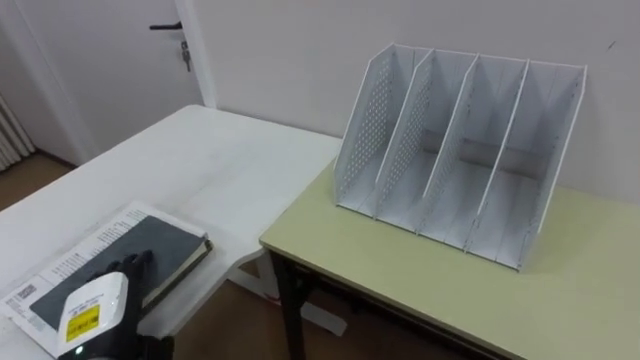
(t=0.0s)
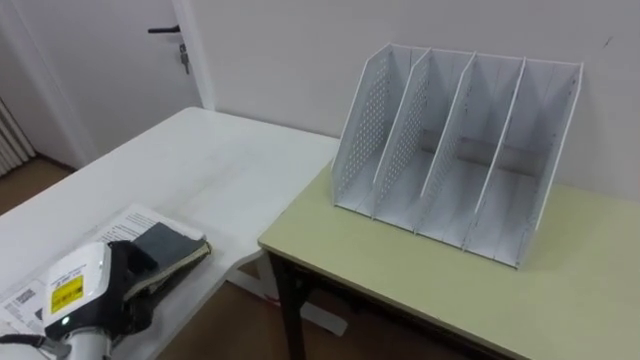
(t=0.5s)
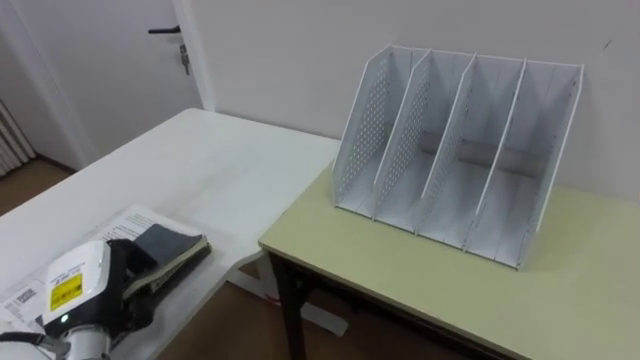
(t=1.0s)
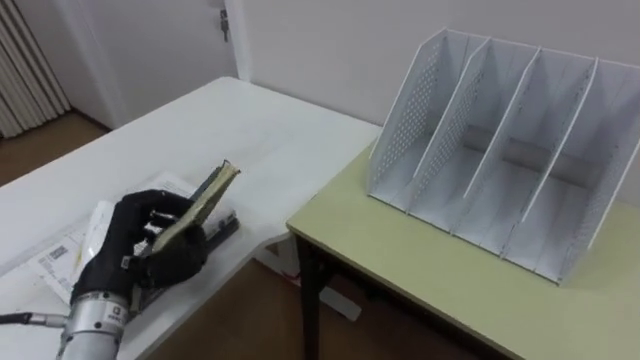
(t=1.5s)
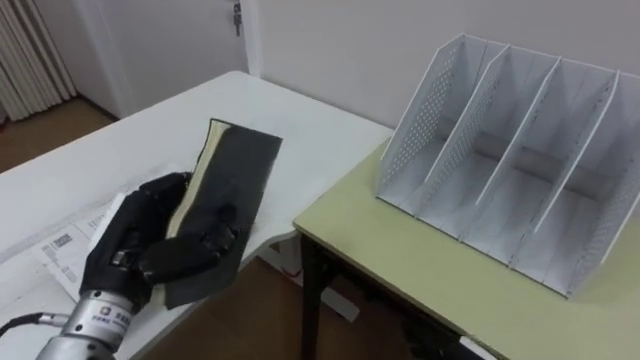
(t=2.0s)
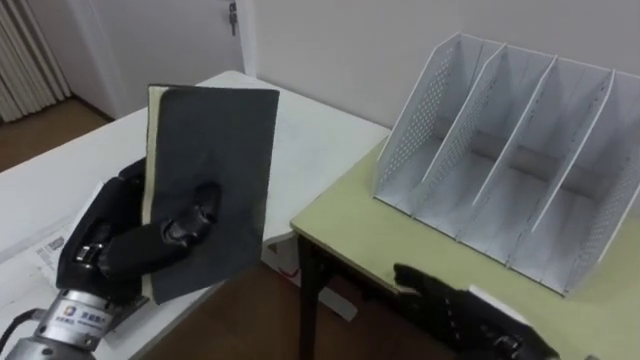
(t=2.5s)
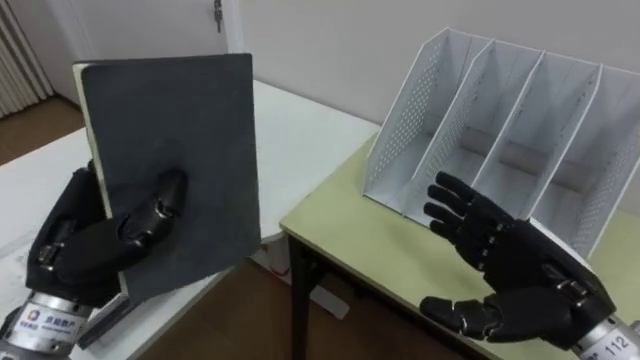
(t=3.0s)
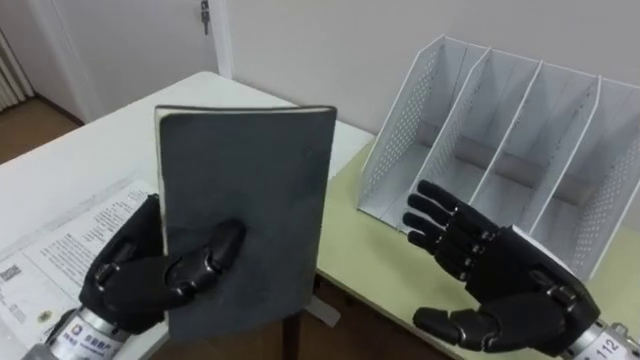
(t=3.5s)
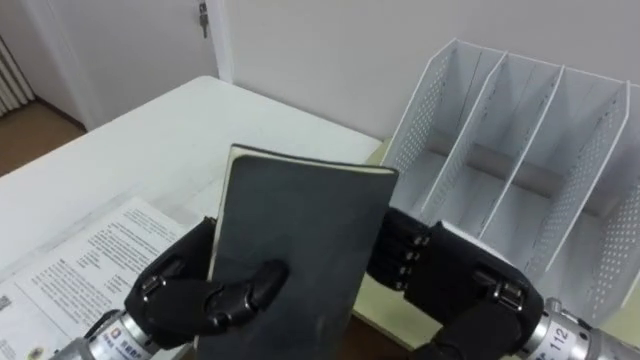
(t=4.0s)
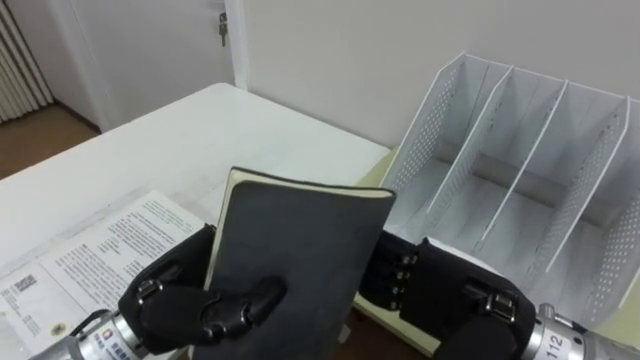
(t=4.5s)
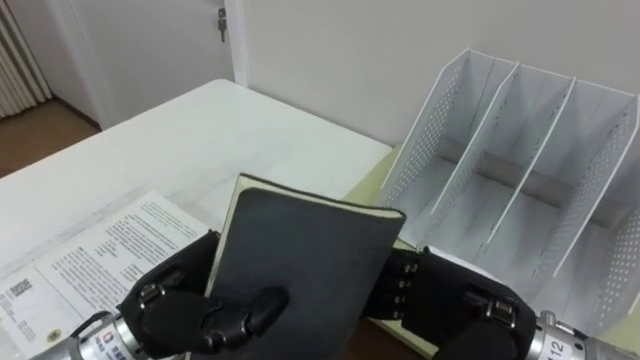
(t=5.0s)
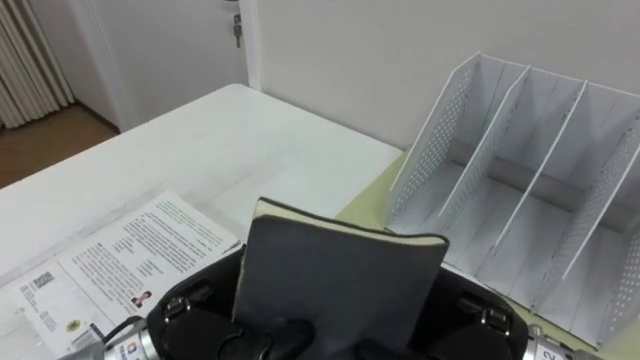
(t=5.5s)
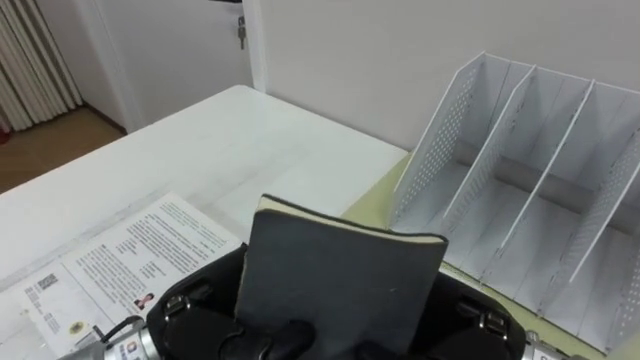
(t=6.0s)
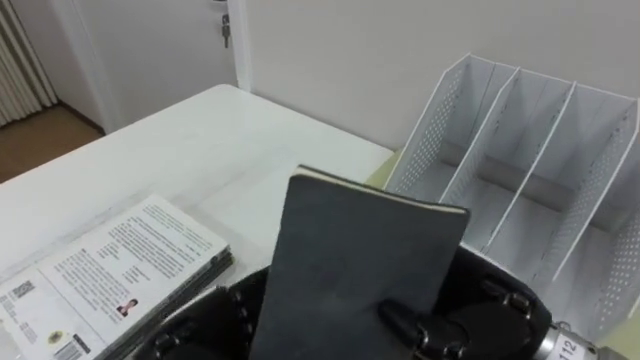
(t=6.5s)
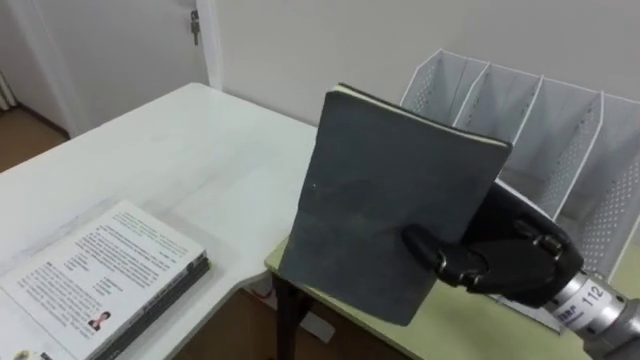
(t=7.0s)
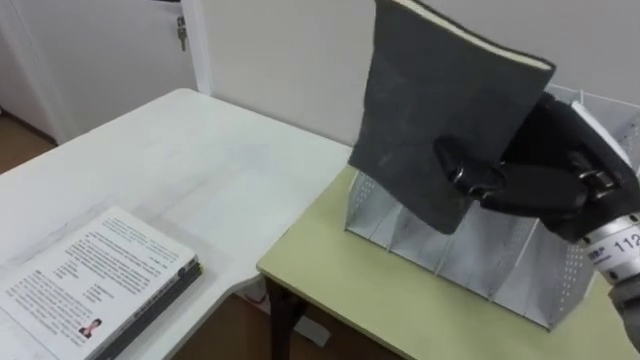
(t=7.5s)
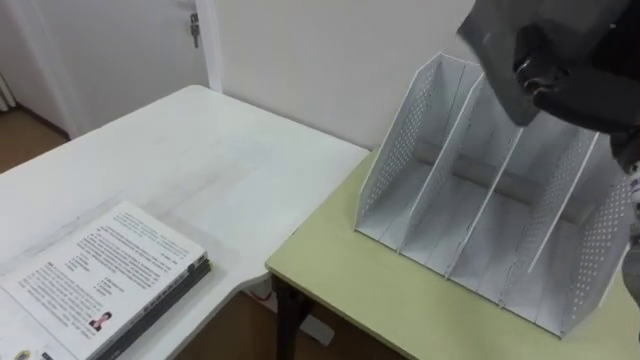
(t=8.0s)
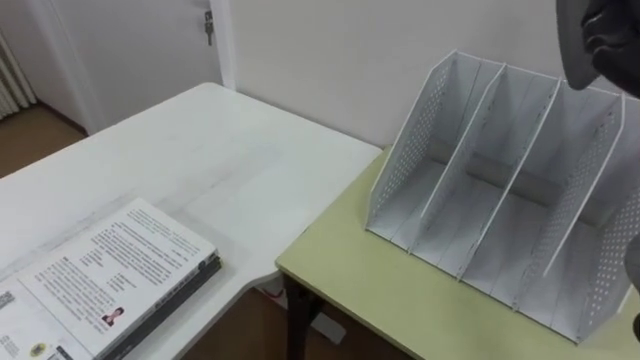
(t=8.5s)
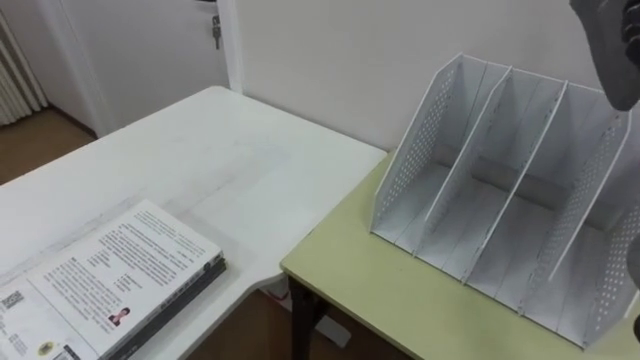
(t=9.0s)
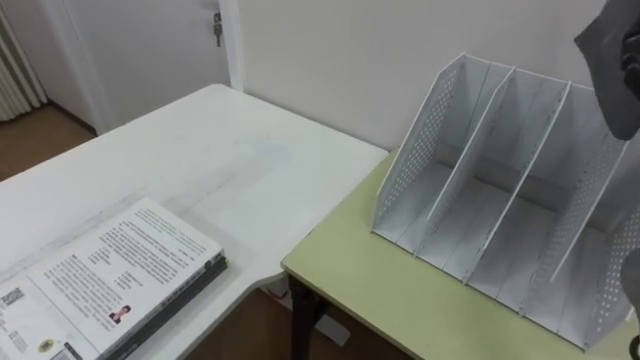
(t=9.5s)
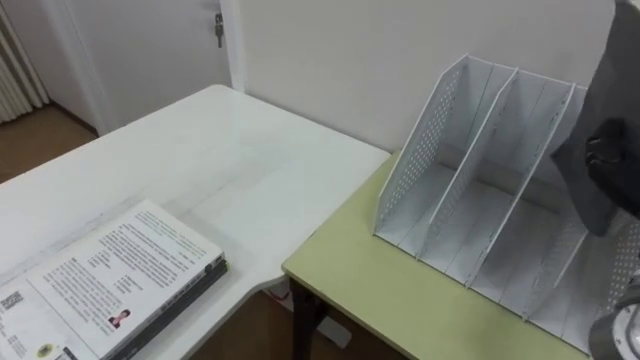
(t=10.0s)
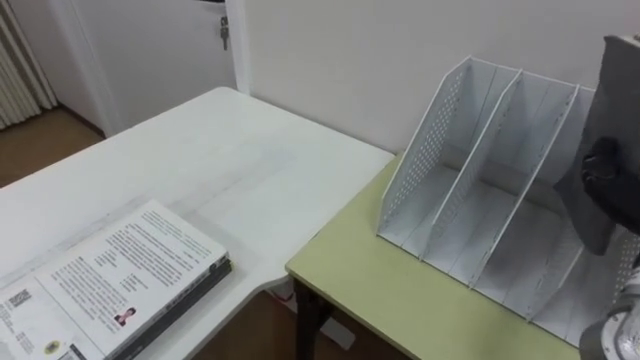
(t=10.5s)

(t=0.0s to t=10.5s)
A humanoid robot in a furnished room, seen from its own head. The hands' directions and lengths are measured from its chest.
Task of the whole recording: Put the books on the table onto the bookshelf.
t=0.0s - t=2.0s: The left hand travels upward and to the right by about 15 cm, and closes its fingers.
t=2.0s - t=4.0s: The left hand is displaced to the right by some 5 cm. The right hand is displaced upward by about 20 cm.
t=4.0s - t=6.5s: The left hand travels downward by about 5 cm, and opens up; the right hand closes its fingers.

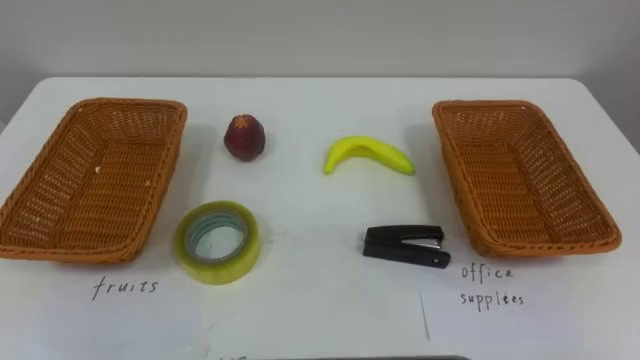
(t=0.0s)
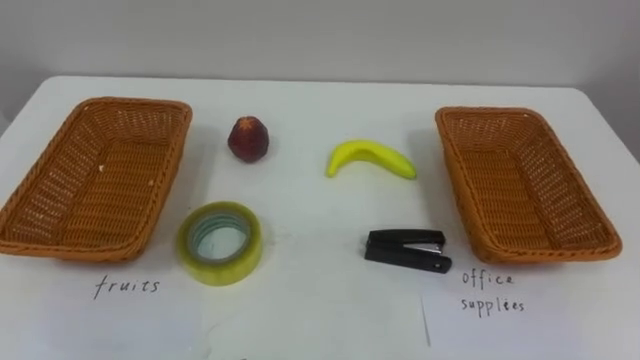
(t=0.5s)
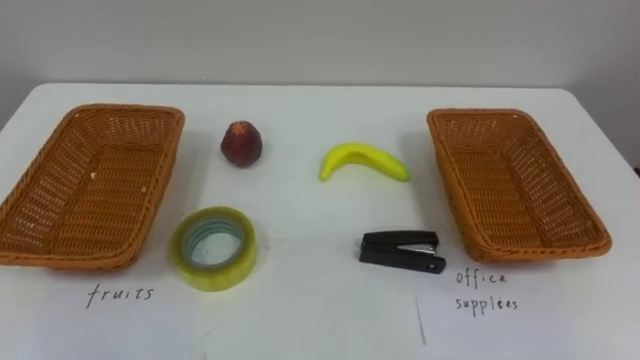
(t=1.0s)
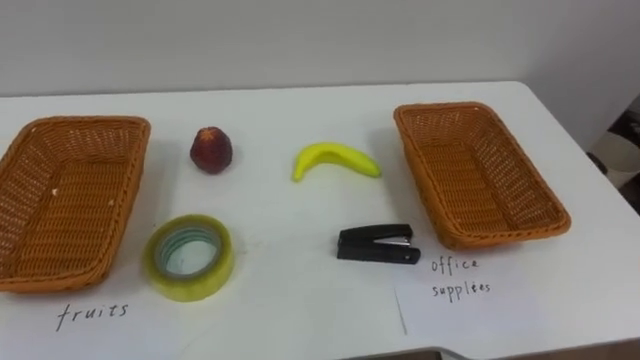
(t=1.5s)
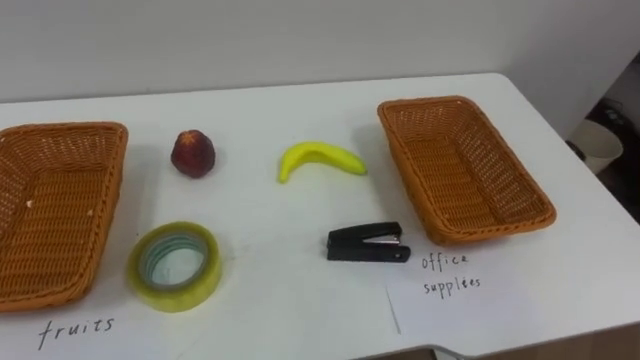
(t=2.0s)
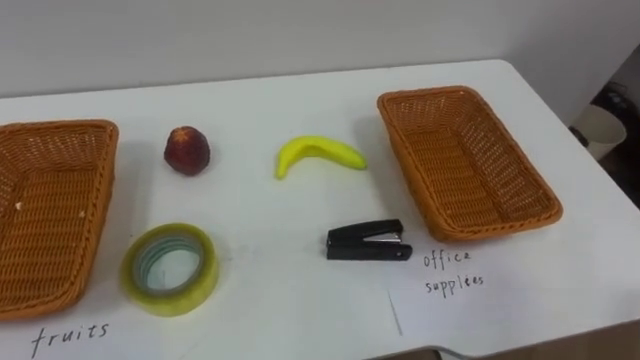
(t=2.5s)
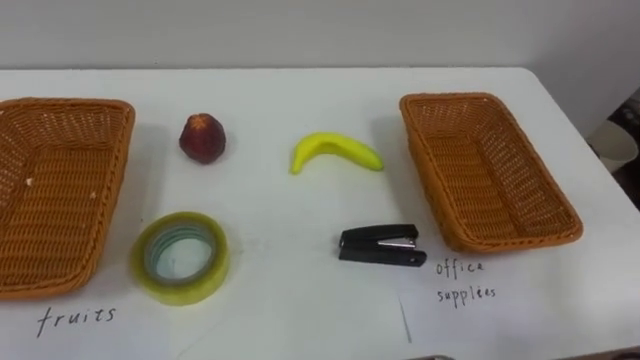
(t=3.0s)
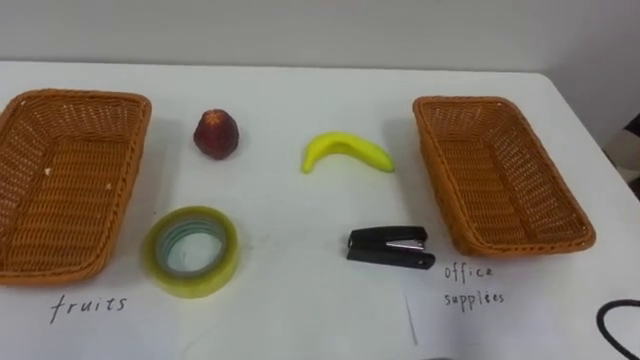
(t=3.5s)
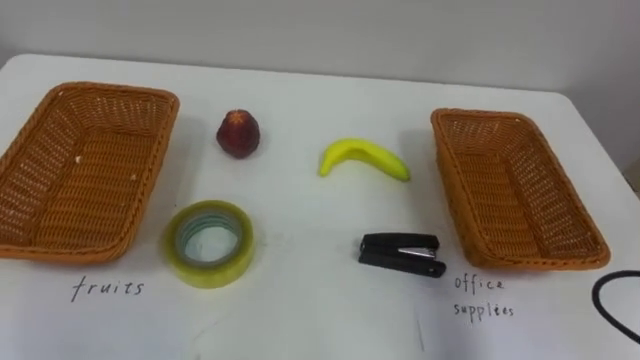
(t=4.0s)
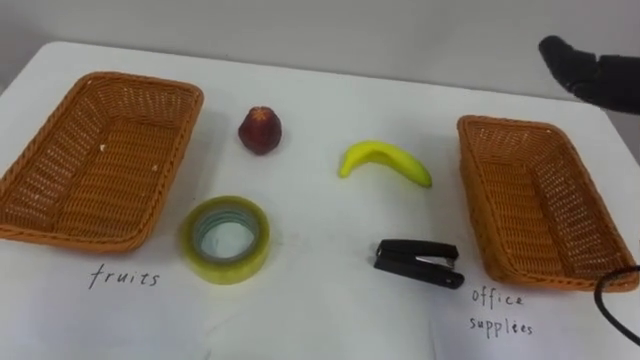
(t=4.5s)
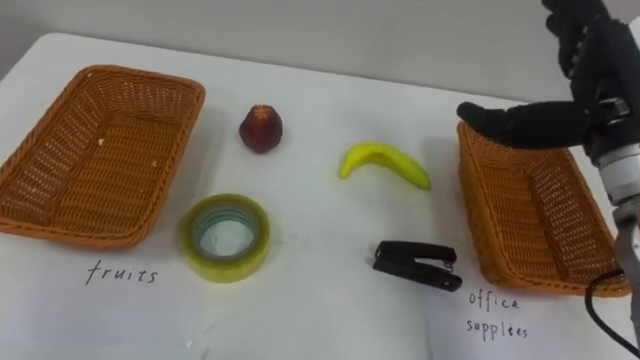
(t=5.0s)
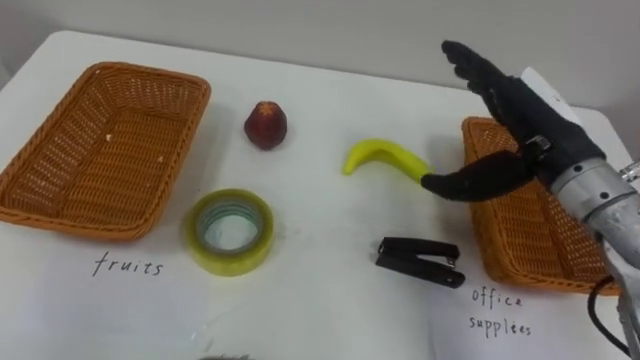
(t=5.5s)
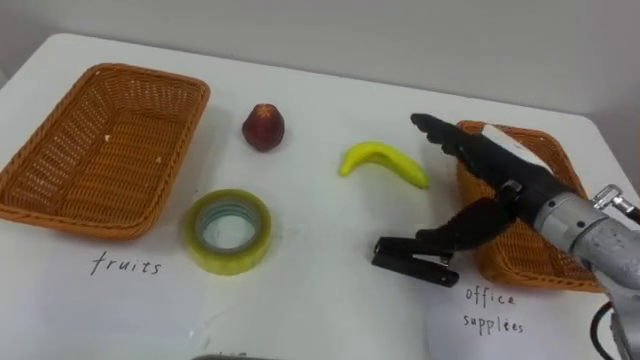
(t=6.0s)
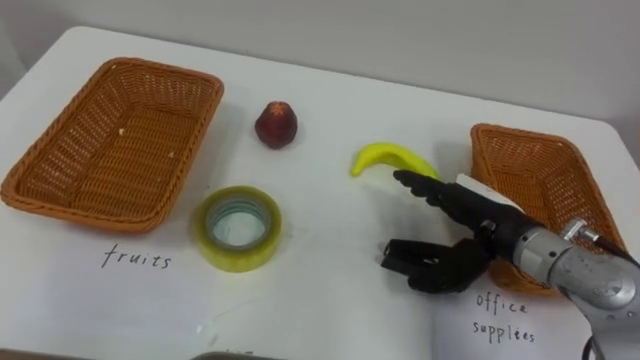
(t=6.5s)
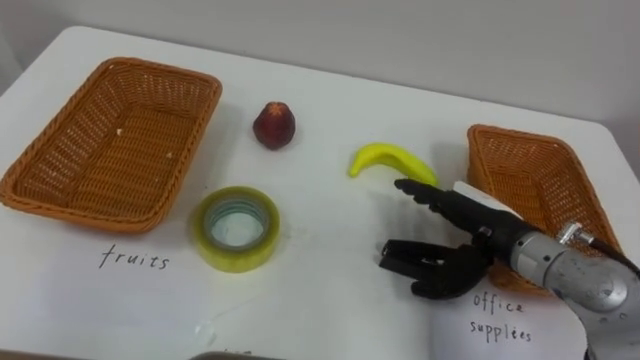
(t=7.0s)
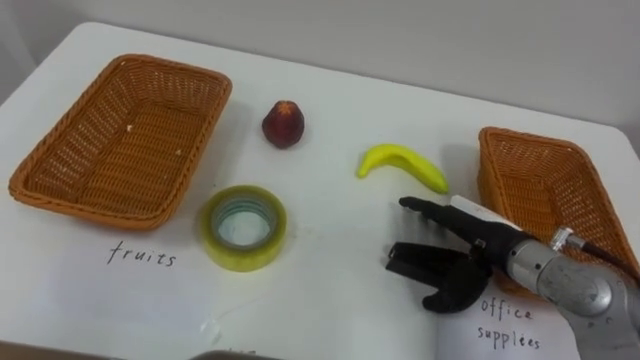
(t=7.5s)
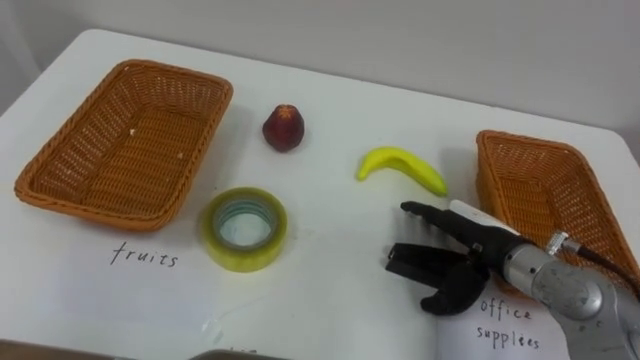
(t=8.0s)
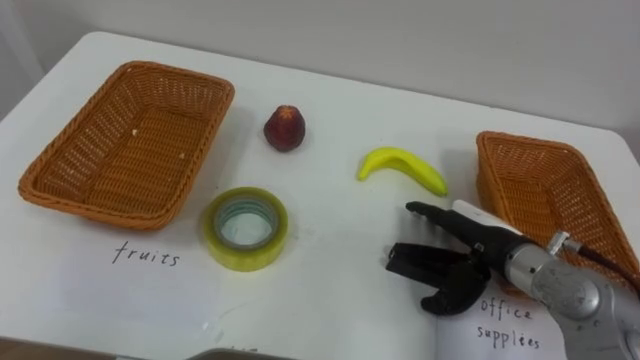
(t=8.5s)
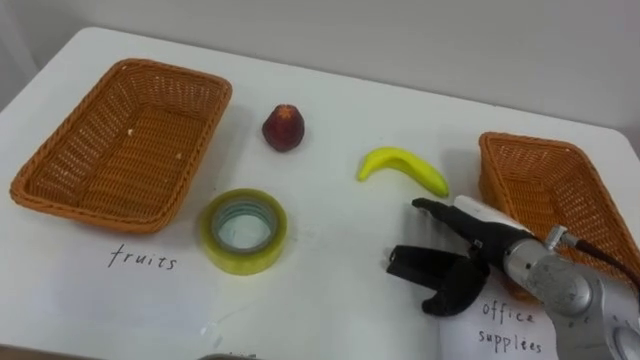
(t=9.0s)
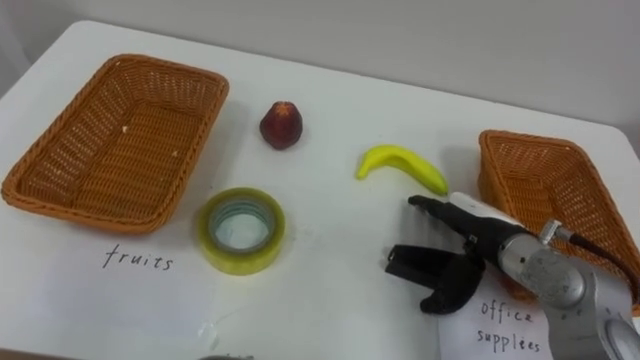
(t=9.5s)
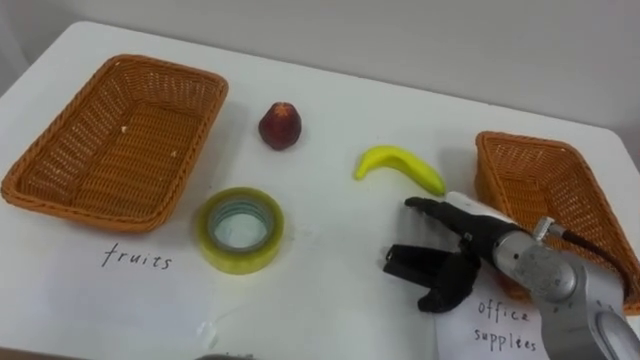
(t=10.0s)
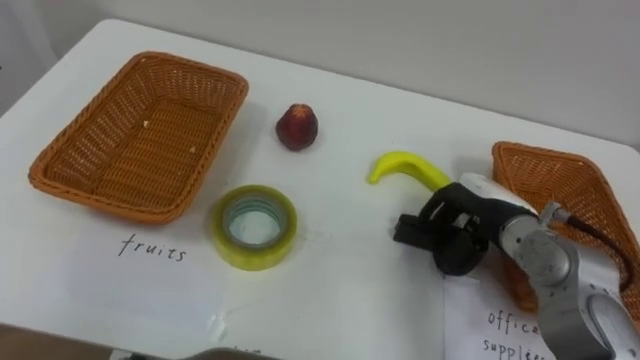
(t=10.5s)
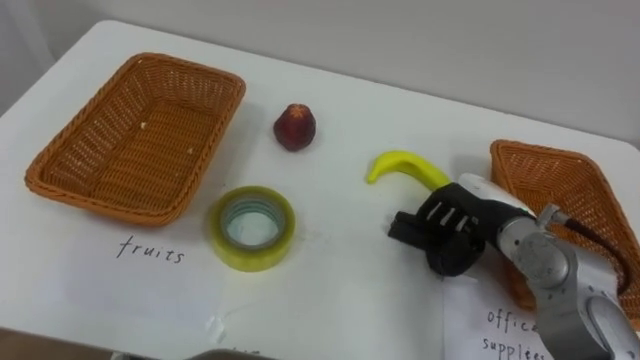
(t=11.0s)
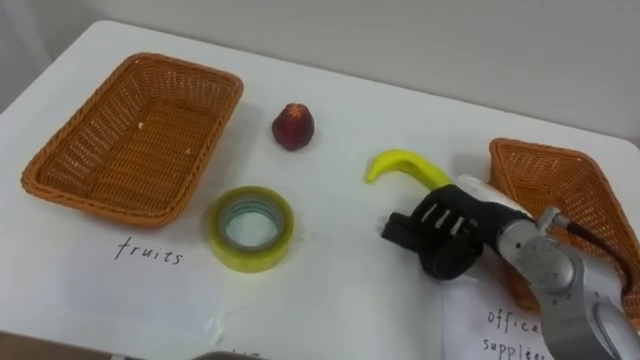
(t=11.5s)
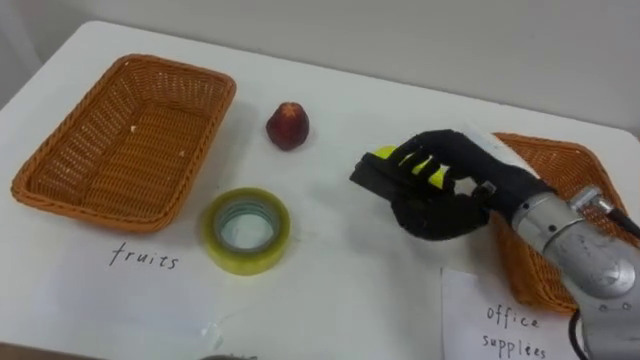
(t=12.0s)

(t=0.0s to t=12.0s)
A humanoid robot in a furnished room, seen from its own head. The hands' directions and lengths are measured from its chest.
Task of the whole recording: Separate the items on the table and place them into the two baskets.
t=6.0s - t=8.0s: The right hand shifts some 10 cm downward.
t=10.0s - t=12.0s: The right hand travels upward by about 10 cm, and closes up.
